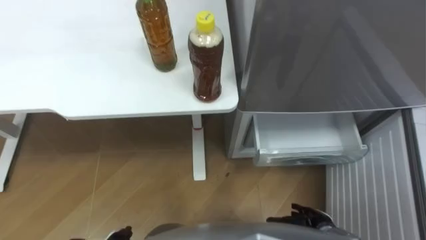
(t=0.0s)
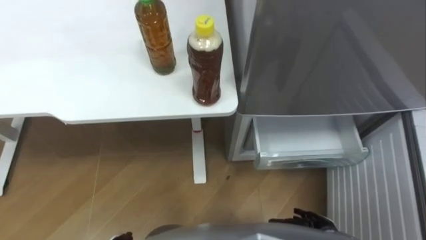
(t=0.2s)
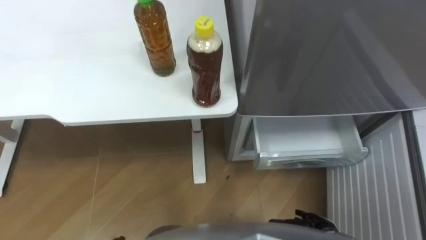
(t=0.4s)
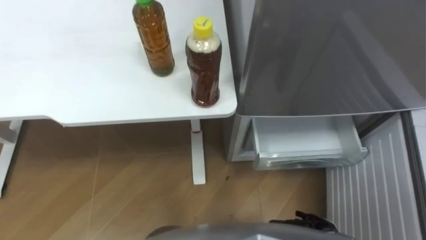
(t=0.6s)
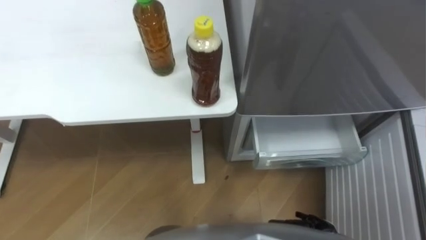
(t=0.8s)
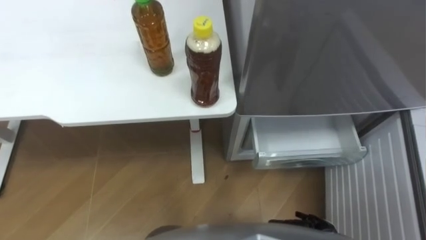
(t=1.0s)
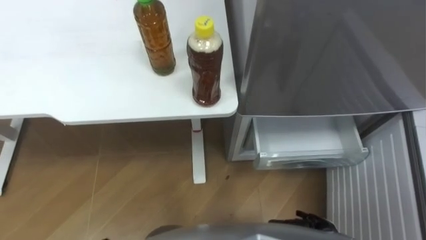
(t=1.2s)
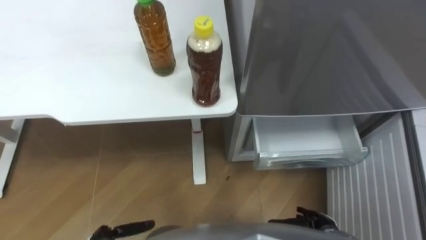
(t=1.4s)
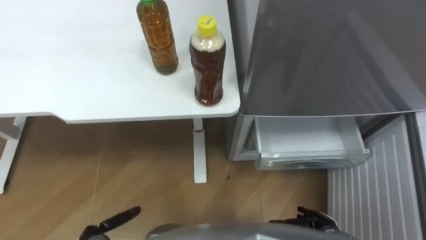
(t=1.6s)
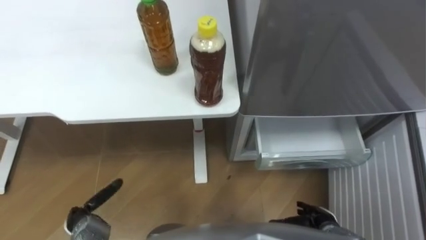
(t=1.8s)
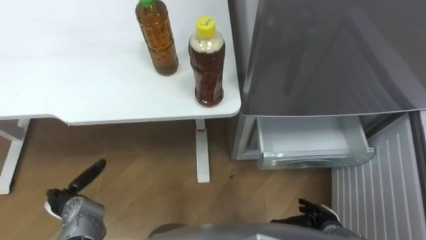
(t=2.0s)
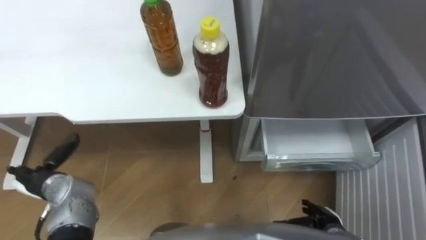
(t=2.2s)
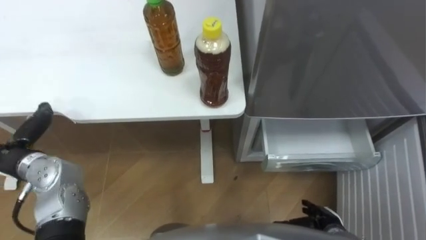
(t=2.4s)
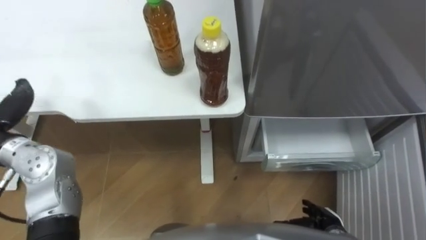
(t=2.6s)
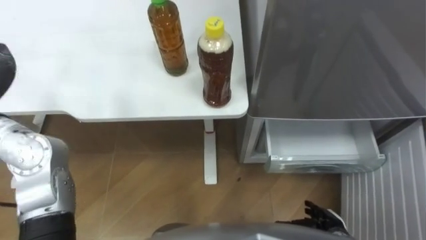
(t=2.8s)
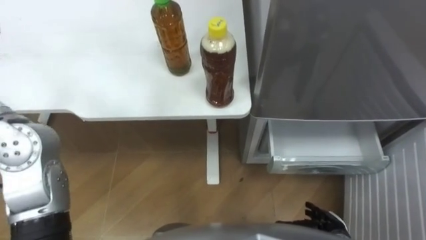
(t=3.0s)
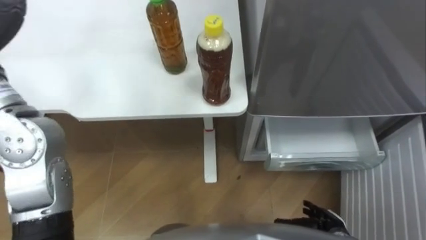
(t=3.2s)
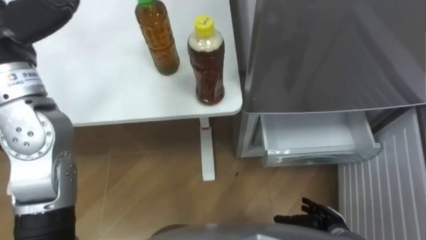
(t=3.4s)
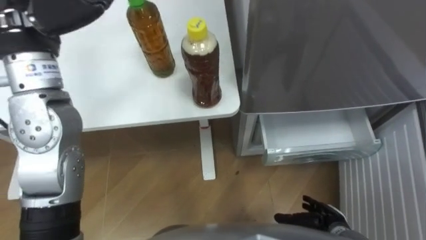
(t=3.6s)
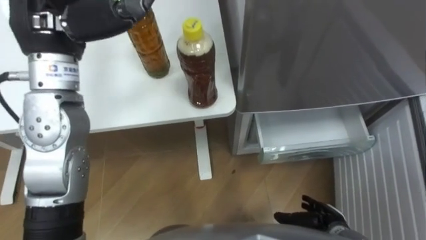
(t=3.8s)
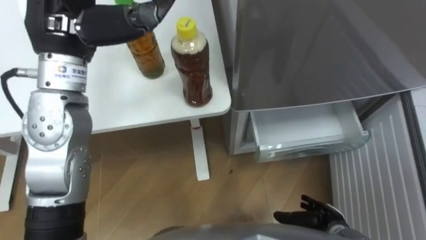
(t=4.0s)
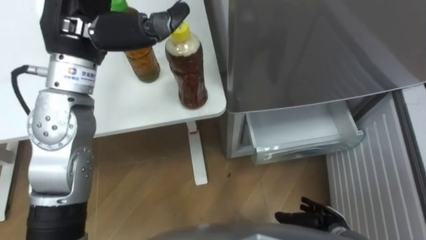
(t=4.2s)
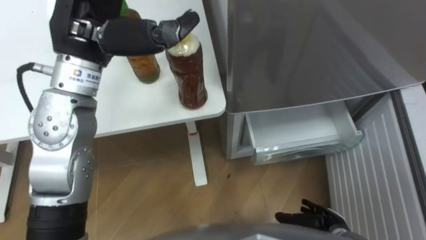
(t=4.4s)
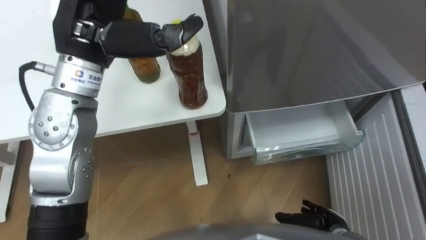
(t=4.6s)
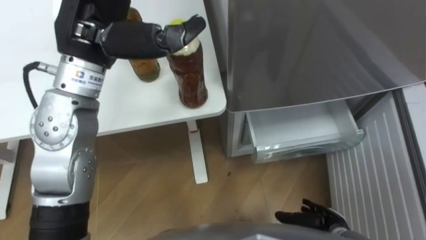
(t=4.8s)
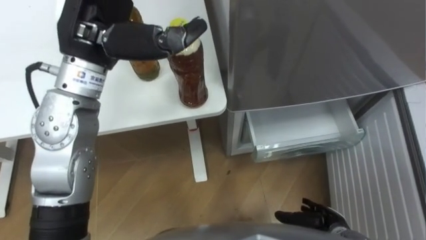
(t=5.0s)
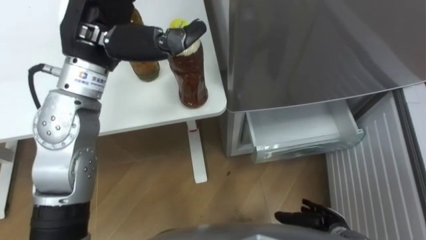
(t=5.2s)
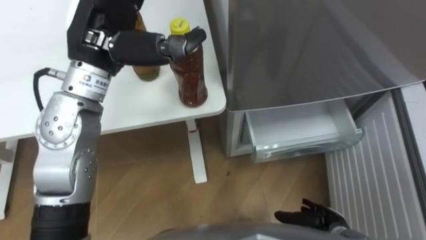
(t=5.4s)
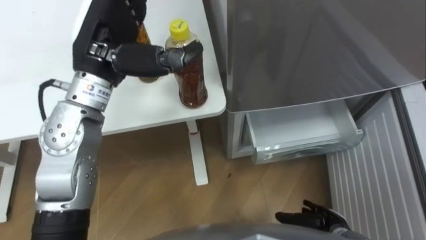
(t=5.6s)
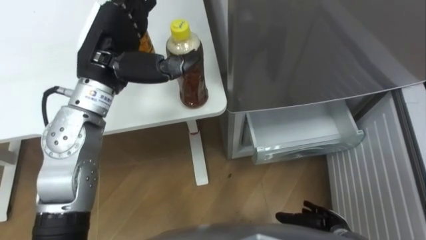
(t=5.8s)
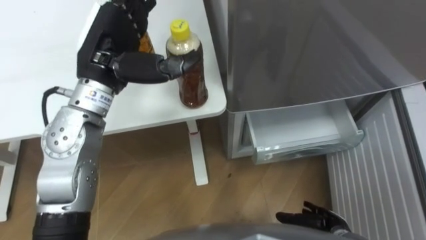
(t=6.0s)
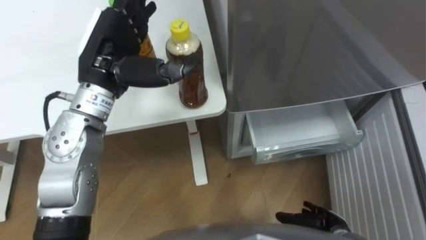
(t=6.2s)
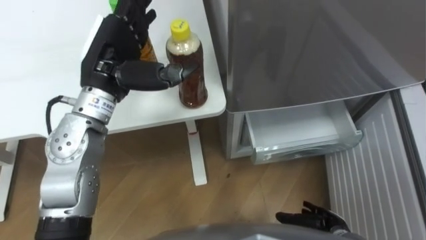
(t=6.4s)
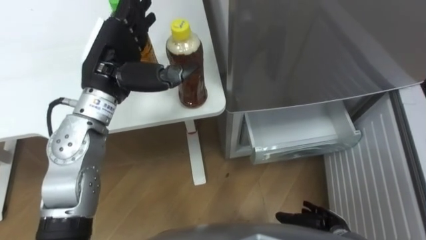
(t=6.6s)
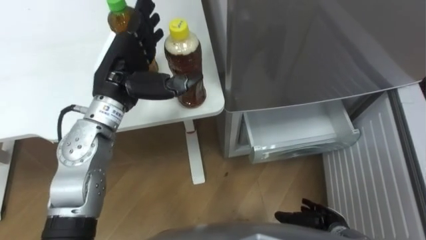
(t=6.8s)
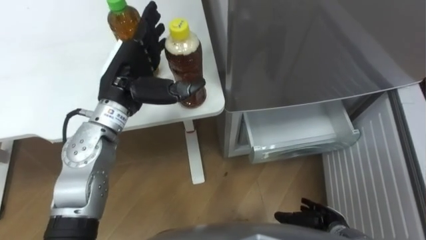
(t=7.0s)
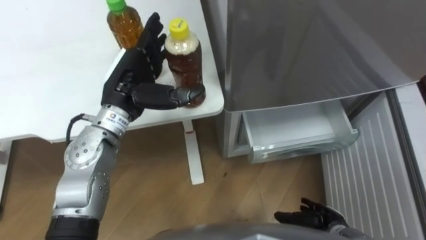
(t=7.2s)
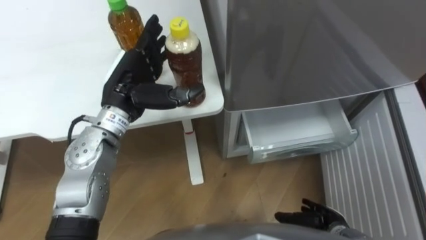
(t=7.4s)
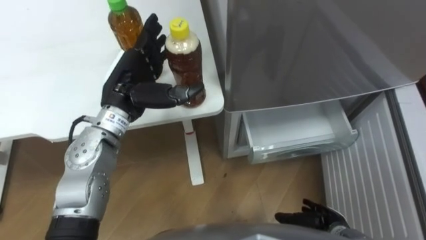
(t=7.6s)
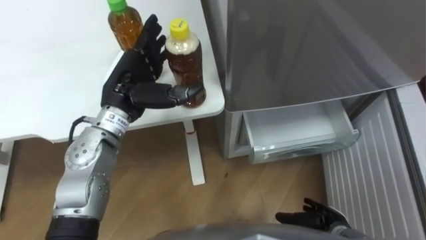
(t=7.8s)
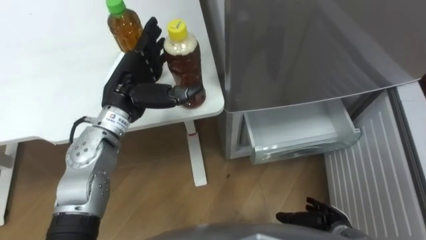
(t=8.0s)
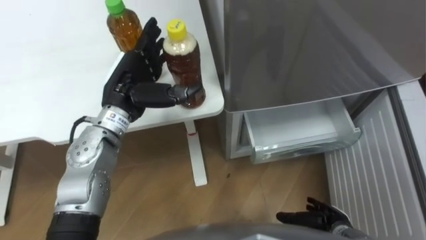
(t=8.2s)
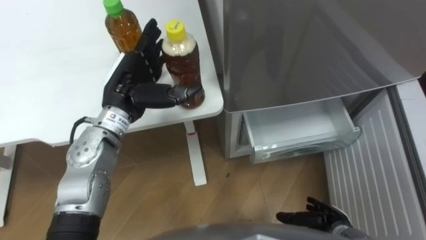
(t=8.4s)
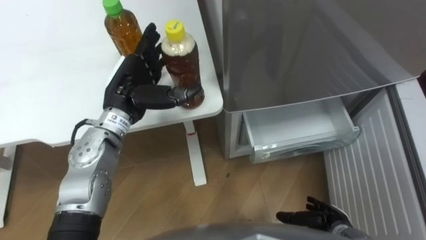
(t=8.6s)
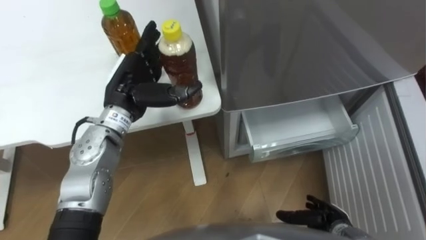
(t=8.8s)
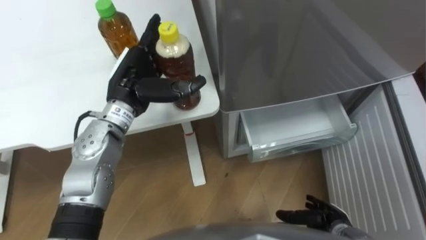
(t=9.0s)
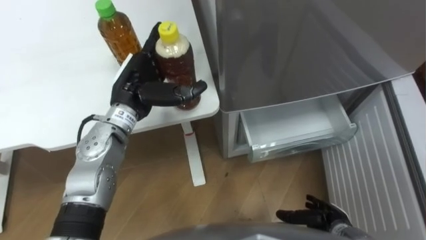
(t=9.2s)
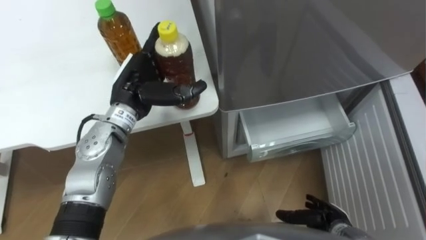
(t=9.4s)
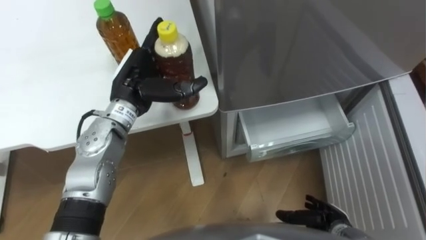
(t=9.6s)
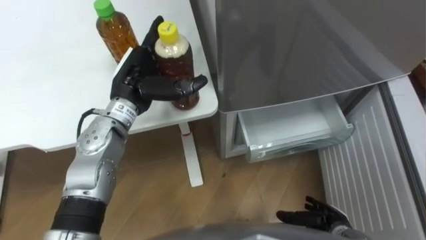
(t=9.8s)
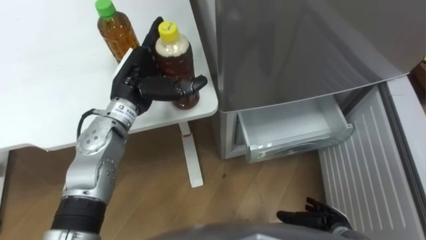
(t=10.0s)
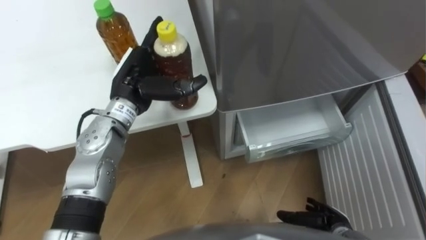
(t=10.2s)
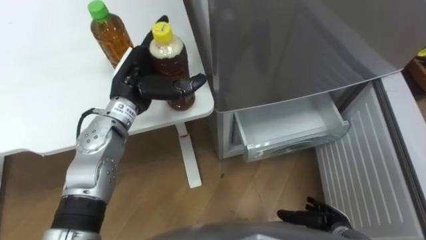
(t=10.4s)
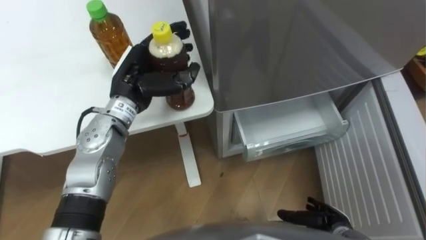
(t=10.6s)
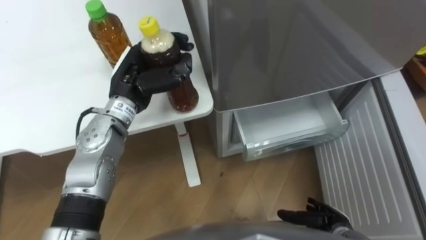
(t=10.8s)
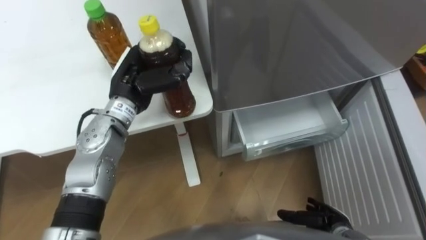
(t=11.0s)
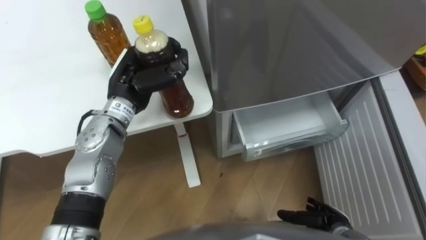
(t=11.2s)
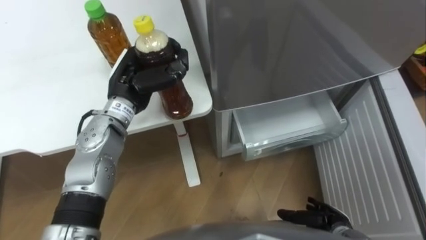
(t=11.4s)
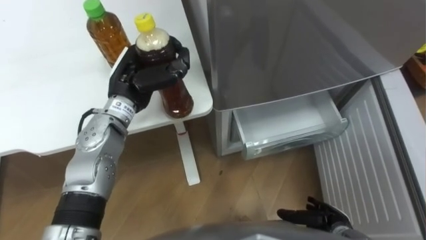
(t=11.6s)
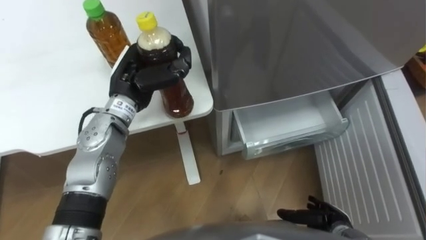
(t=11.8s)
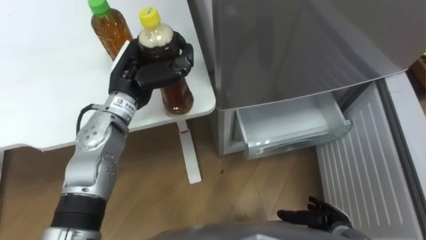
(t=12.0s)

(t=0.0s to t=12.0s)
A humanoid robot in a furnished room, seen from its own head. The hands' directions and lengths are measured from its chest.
Task of the whole recording: Place the drink on the table on the bottom shelf of the refrigerator, then close the drawer and the refrigerator door.
t=4.4s - t=6.0s: The left hand goes roughly 5 cm downward.
t=6.0s - t=7.6s: The left hand shifts about 10 cm downward.
t=7.6s - t=10.4s: The hands make only small movements.
t=10.4s - t=12.0s: The left hand closes up.

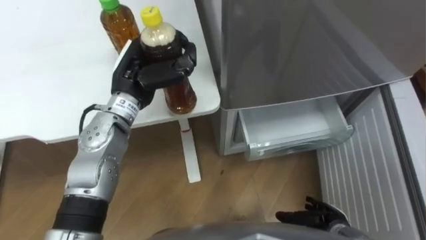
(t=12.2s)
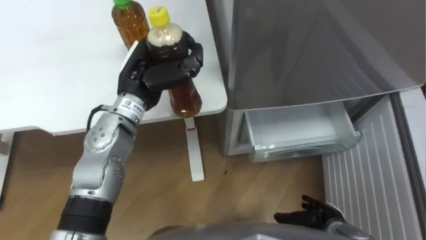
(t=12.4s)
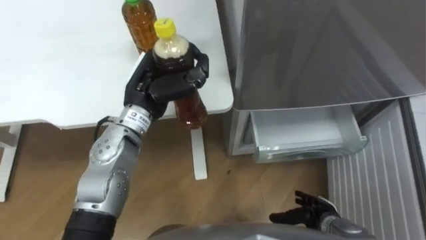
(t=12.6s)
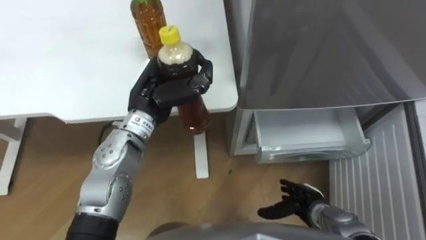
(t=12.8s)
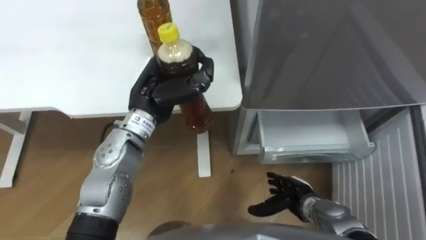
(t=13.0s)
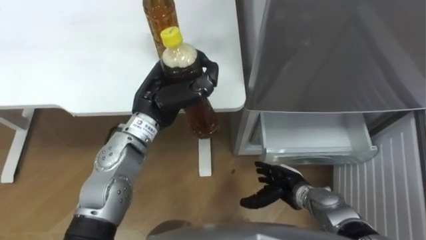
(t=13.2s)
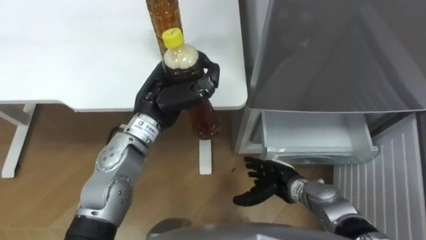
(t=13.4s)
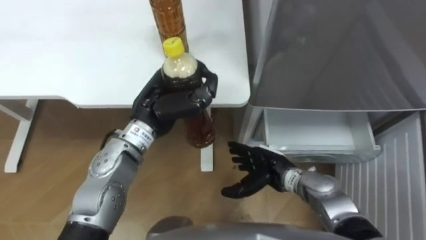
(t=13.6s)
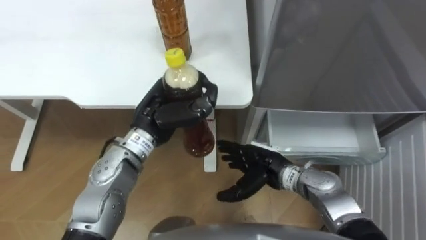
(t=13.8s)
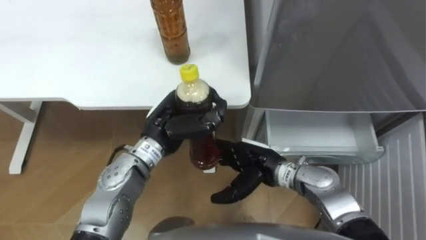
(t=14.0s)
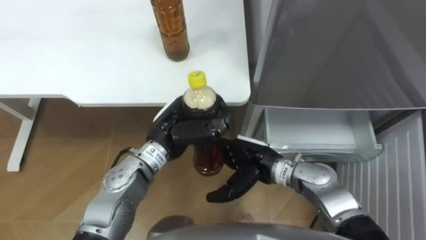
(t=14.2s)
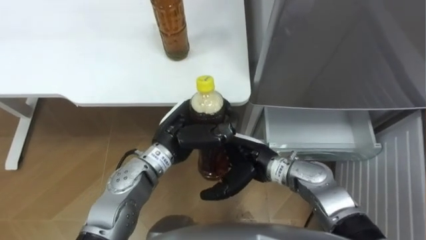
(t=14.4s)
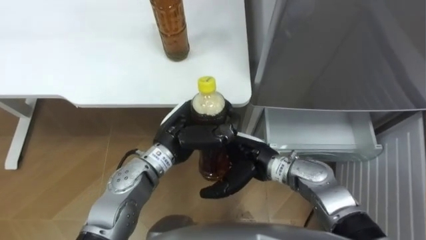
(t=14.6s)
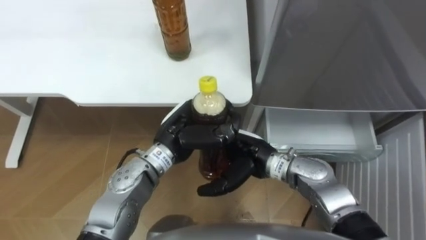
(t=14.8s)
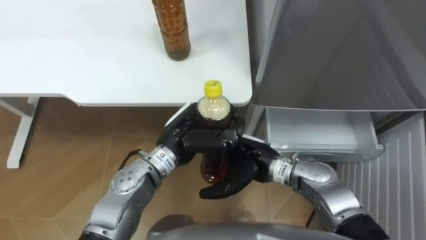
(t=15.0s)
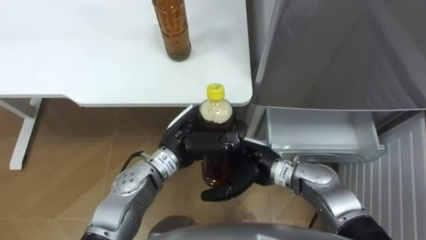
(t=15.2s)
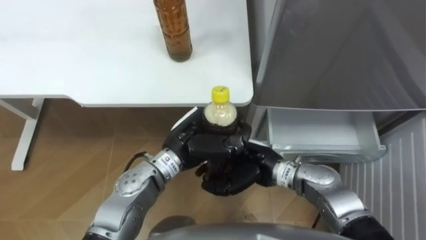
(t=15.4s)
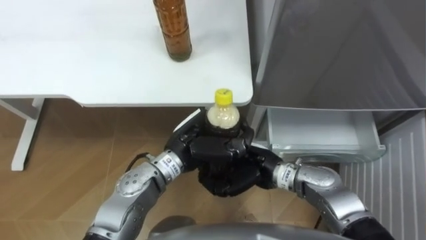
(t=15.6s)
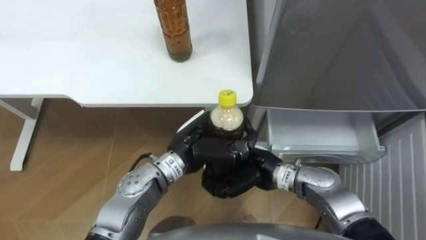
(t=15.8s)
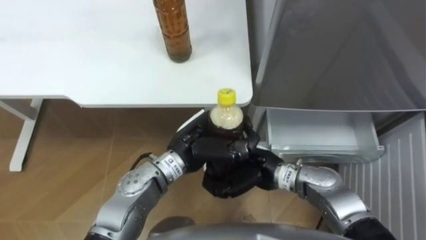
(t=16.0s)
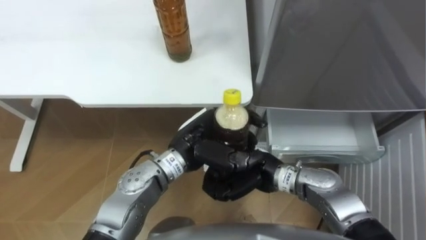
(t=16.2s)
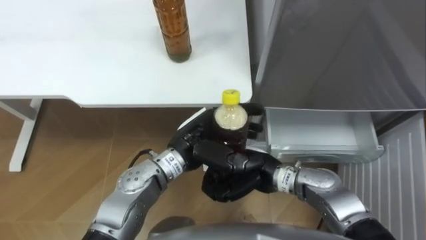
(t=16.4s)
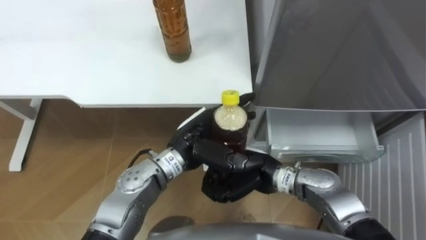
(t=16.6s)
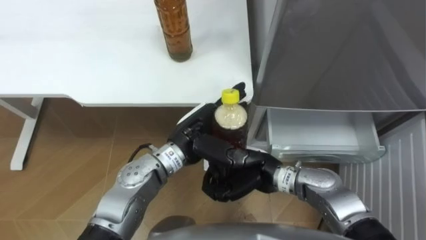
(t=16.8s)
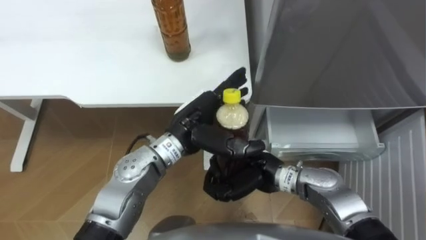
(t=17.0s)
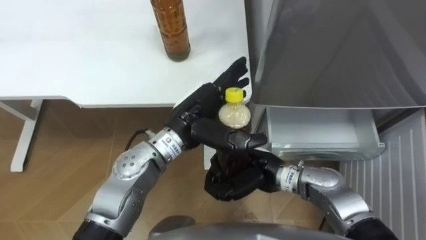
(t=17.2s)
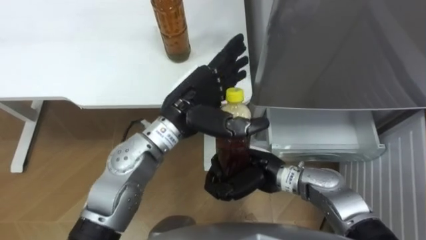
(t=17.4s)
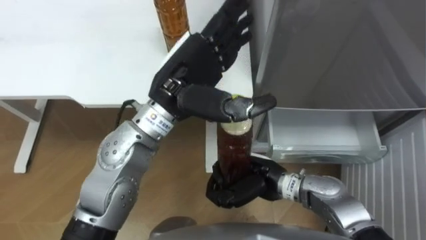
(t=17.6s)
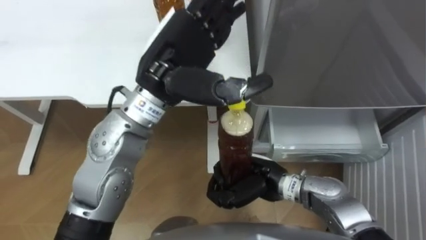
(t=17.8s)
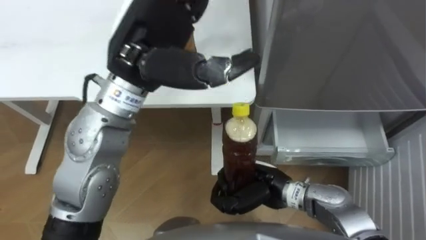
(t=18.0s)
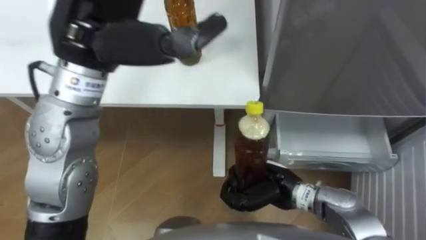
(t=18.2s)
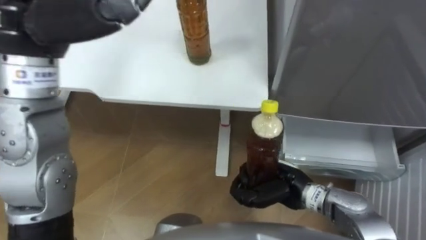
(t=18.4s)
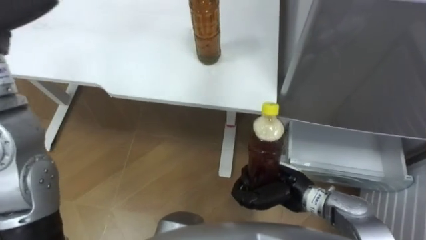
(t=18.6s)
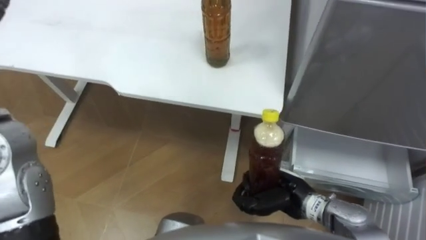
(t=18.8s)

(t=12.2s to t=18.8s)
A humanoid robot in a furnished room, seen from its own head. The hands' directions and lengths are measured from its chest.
Task of the whole recording: Place the drink on the table on the bottom shelf of the refrigerator, then close the drawer and the refrigerator door.
t=12.2s - t=13.8s: The left hand shifts roughly 5 cm backward. Meanwhile the right hand travels to the left, forward and upward by about 20 cm.
t=13.8s - t=15.4s: The left hand moves to the right, roughly 5 cm, while the right hand changes place by some 5 cm.
t=15.4s - t=17.2s: The left hand opens, while the right hand closes.
t=17.2s - t=18.8s: The right hand shifts roughly 5 cm to the right.
